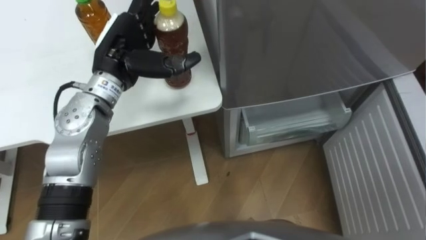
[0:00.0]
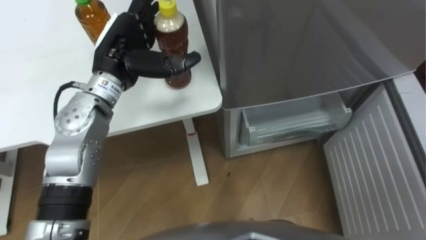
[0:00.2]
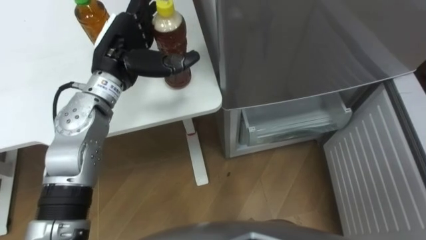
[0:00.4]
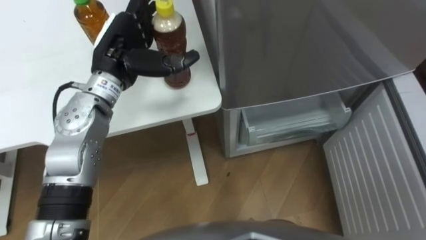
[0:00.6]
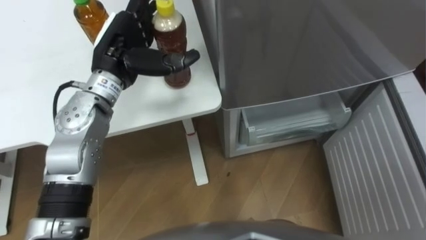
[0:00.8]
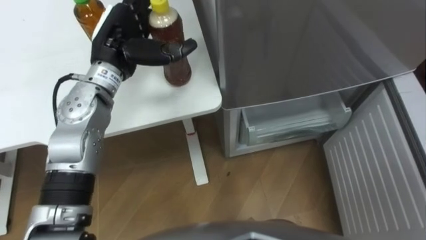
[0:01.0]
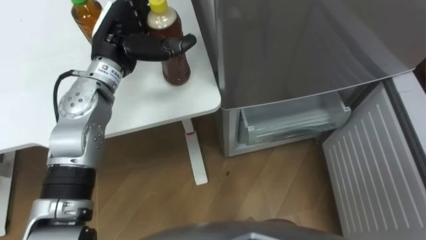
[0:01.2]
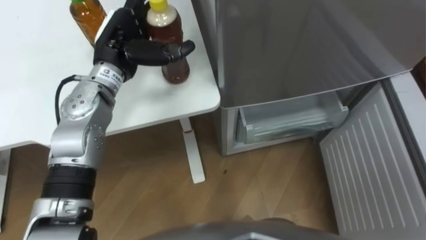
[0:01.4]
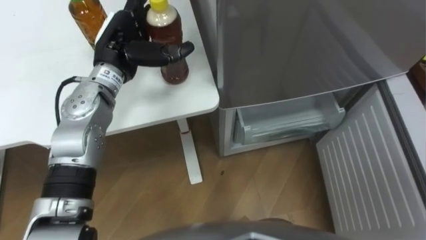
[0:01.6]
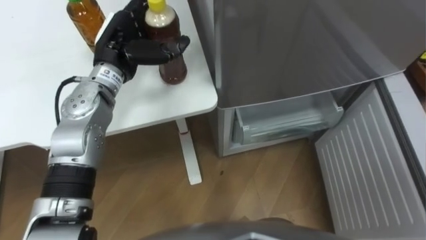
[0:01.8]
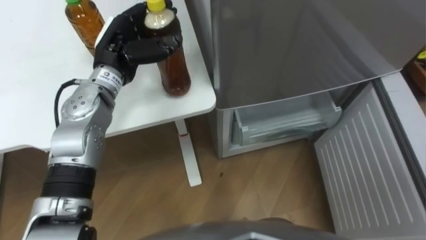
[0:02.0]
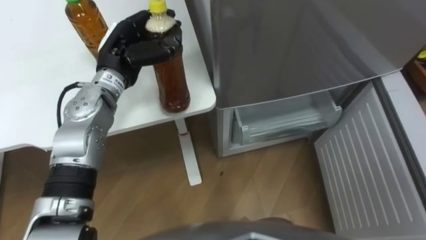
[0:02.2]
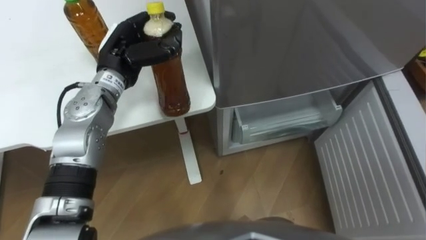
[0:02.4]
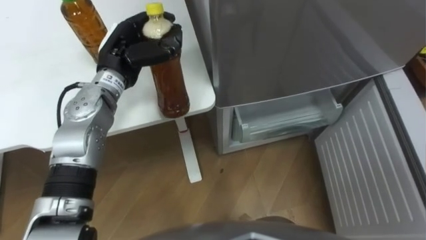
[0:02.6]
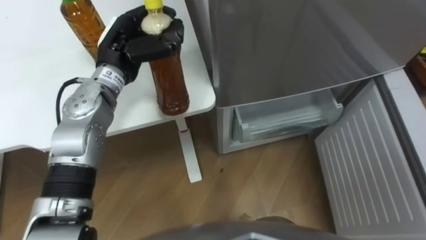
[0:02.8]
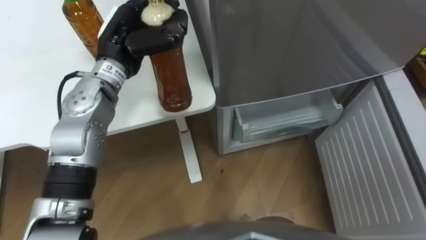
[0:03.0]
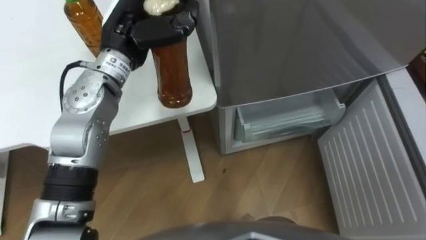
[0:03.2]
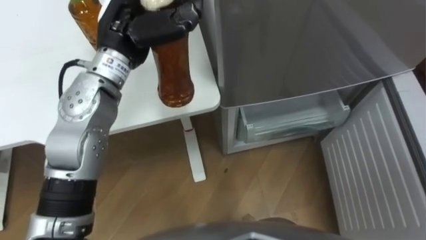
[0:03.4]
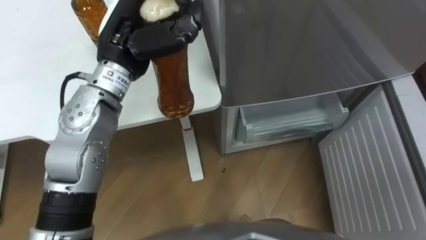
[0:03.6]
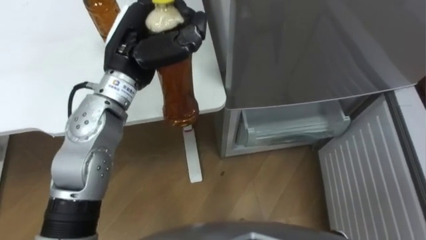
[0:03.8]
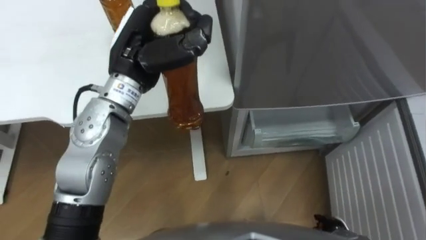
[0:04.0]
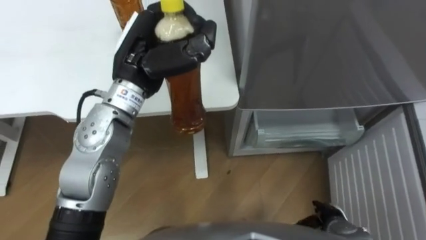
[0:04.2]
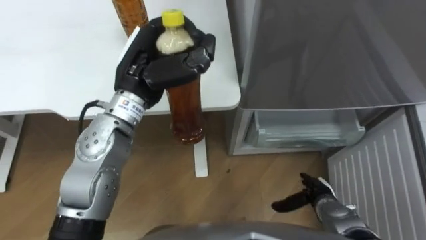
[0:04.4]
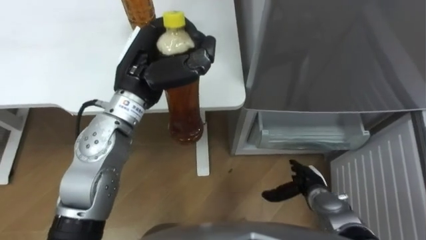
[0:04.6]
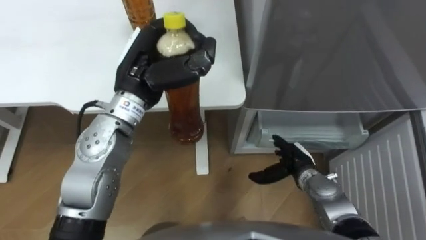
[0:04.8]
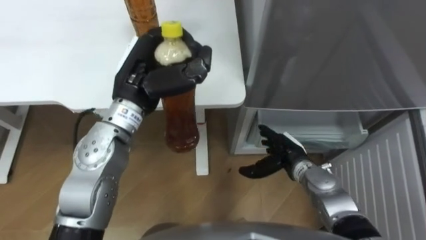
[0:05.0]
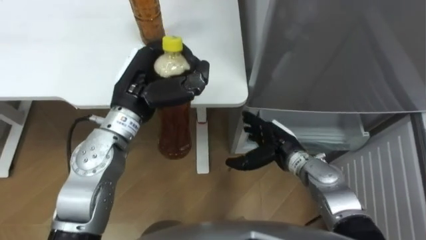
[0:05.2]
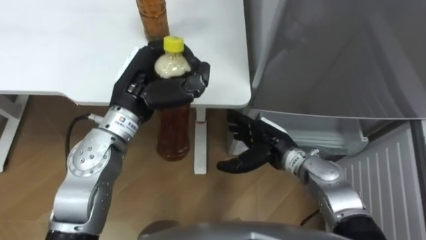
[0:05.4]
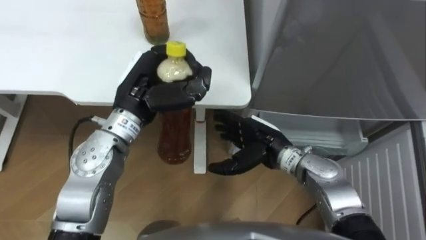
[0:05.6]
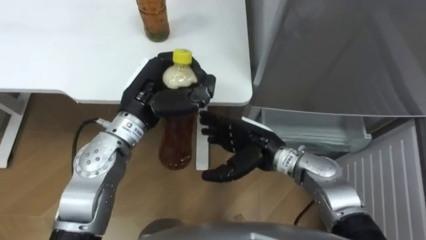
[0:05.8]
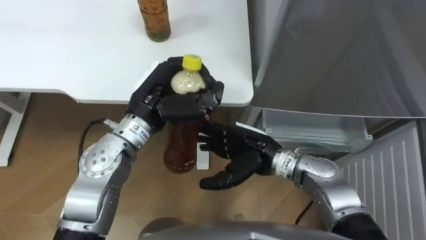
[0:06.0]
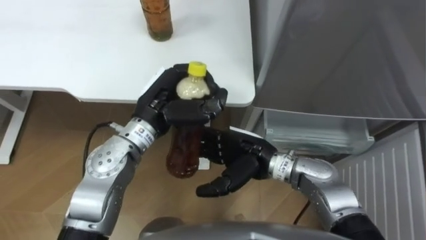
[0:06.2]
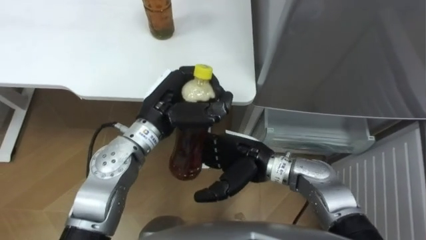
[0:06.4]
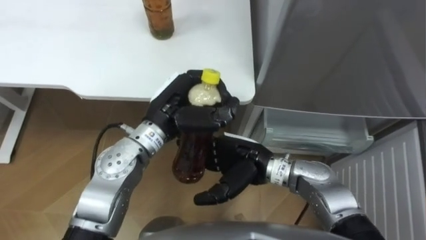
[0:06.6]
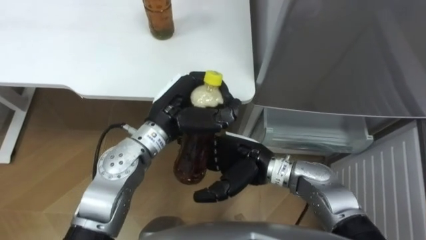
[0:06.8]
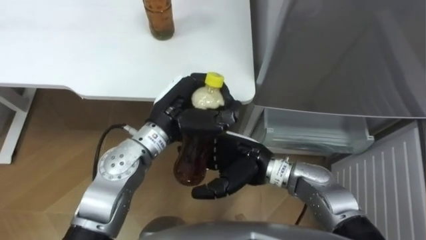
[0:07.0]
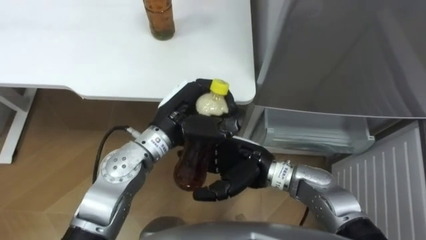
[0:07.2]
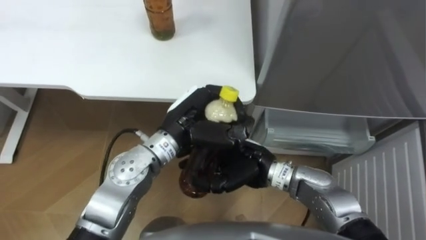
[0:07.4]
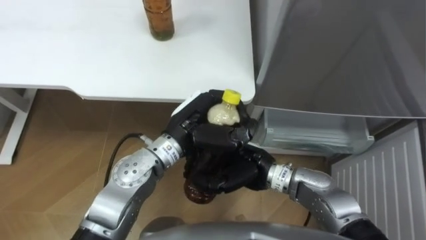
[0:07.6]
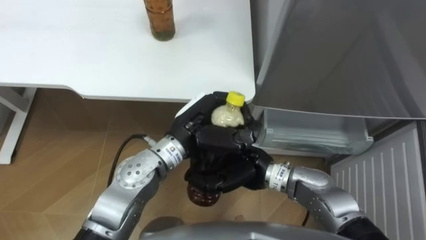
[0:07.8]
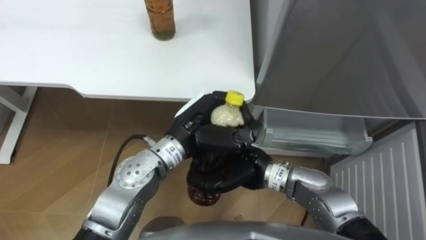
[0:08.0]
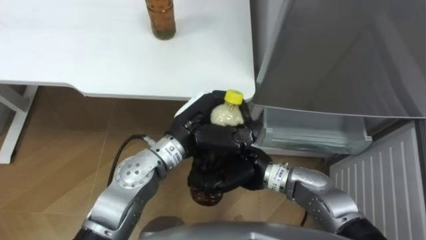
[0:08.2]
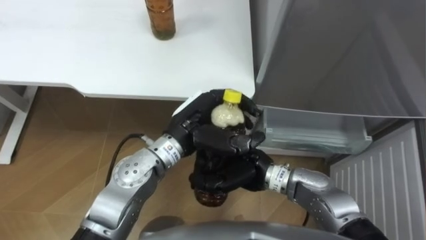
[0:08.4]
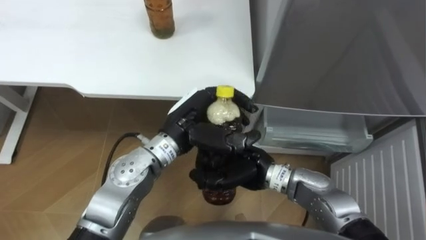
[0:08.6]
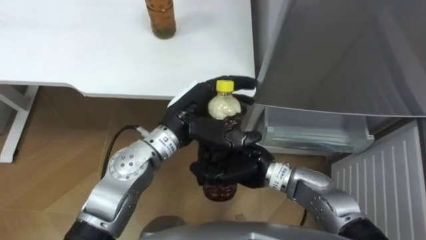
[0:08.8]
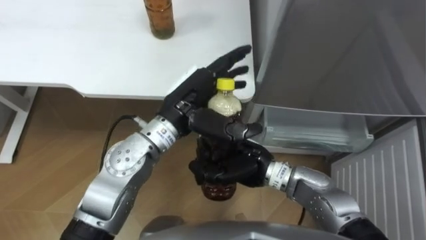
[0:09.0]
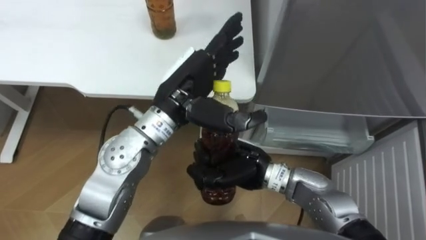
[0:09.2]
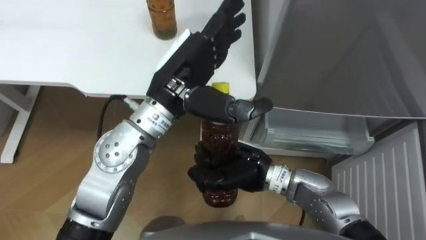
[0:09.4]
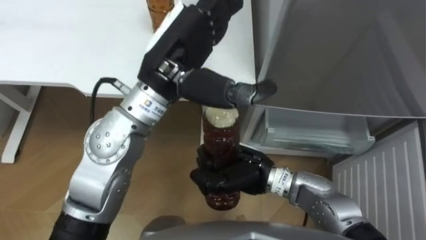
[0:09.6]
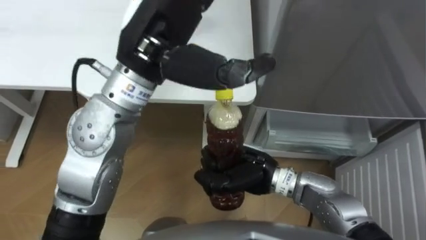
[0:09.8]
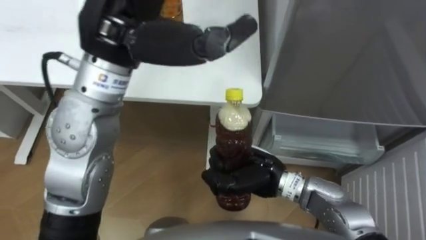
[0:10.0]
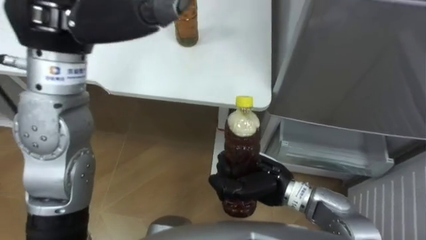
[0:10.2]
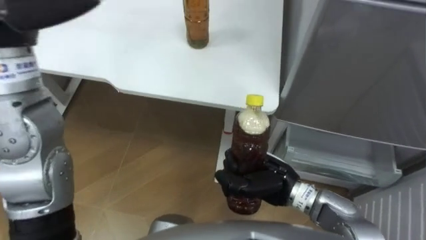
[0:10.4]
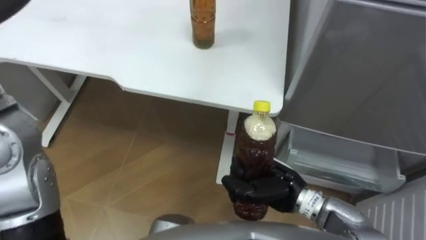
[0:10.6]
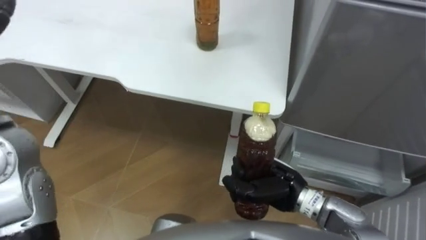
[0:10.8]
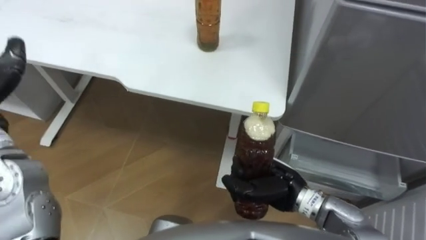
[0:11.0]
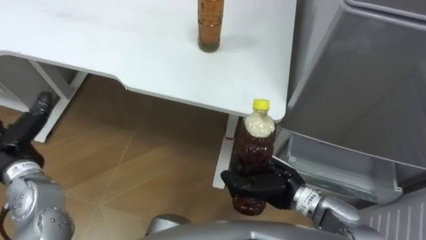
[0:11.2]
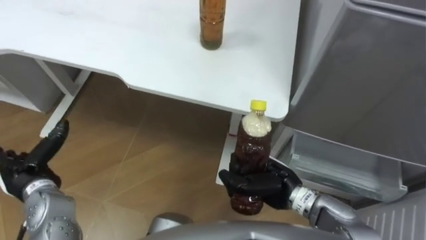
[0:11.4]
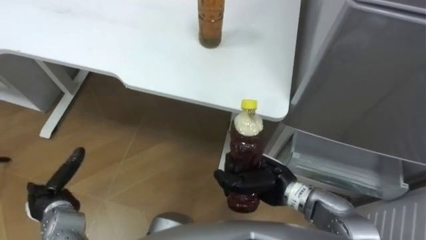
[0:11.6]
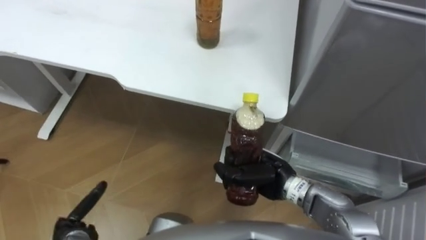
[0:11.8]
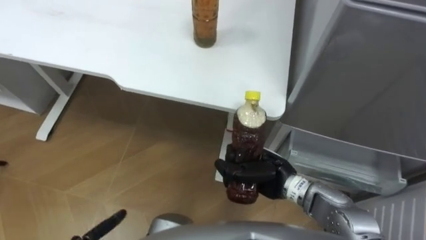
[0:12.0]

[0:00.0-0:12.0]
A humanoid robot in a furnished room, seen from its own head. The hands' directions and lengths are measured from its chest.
Task of the whole recording: Place the drink on the table on the bottom shelf of the refrigerator, then close the drawer and the refrigerator door.
0:01.6 to 0:03.0: The left hand closes.
0:03.0 to 0:04.4: The left hand shifts approximately 5 cm backward.
0:04.4 to 0:06.0: The left hand moves downward, about 5 cm. Meanwhile the right hand goes some 25 cm to the left, upward and forward.
0:06.0 to 0:07.6: The right hand closes up. The left hand is displaced to the right by about 5 cm.
0:07.6 to 0:09.0: The left hand opens.
0:09.0 to 0:10.4: The right hand moves to the right, some 5 cm.

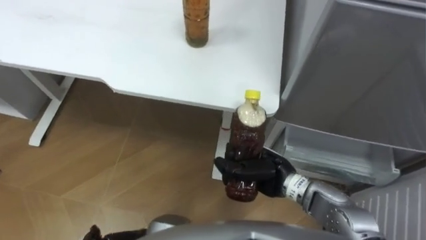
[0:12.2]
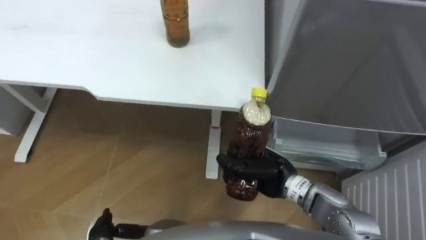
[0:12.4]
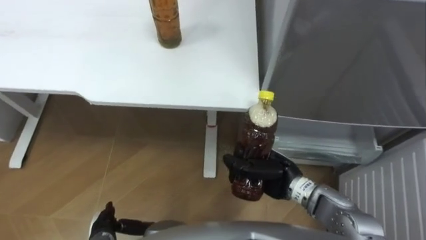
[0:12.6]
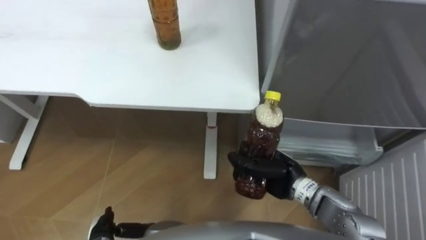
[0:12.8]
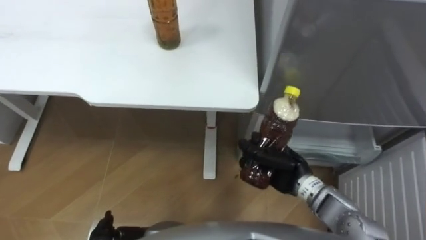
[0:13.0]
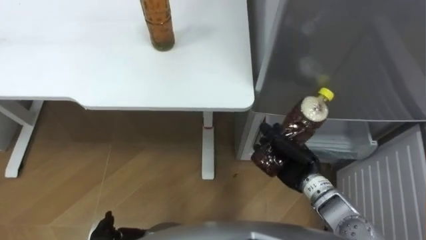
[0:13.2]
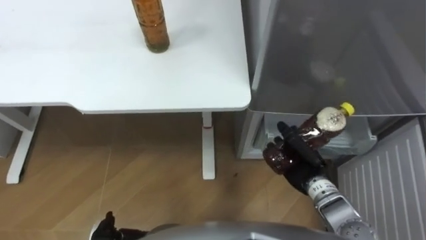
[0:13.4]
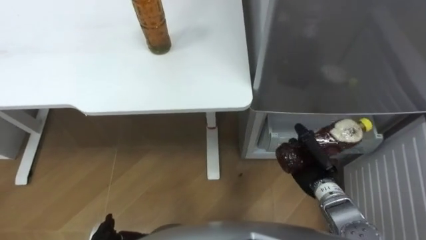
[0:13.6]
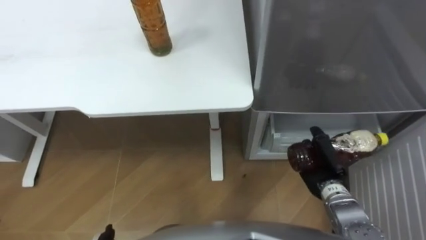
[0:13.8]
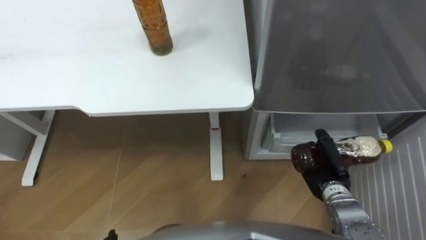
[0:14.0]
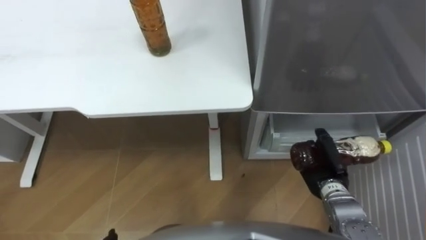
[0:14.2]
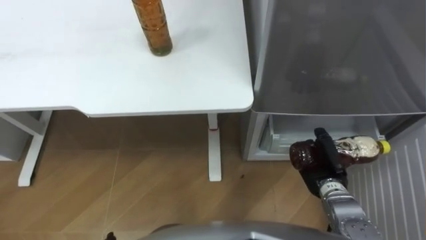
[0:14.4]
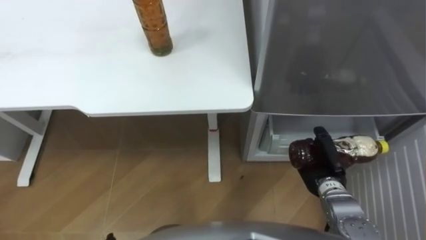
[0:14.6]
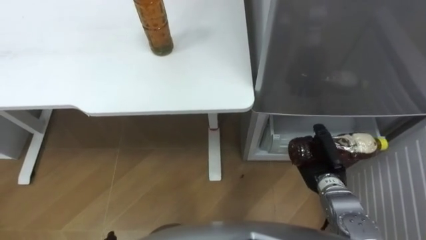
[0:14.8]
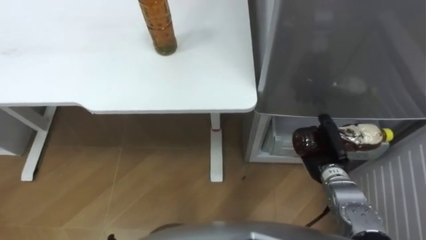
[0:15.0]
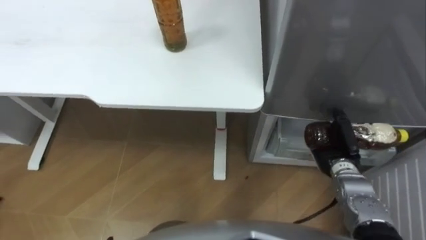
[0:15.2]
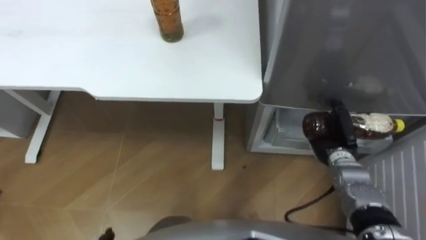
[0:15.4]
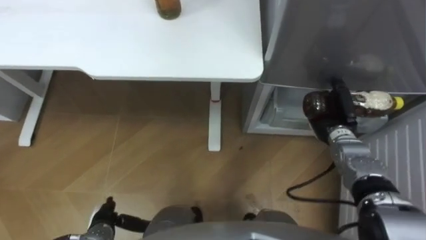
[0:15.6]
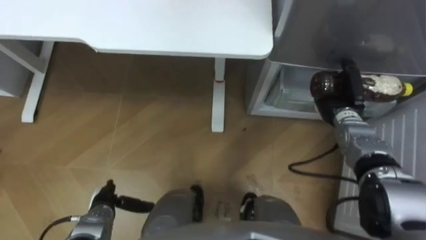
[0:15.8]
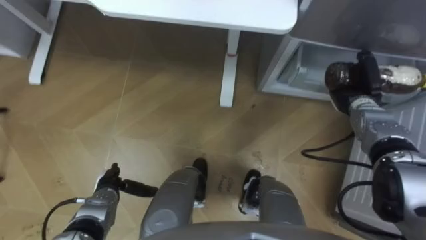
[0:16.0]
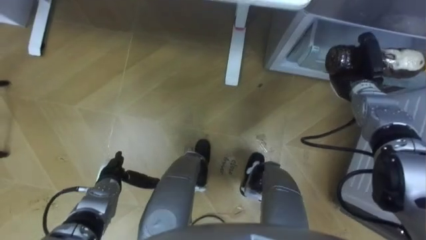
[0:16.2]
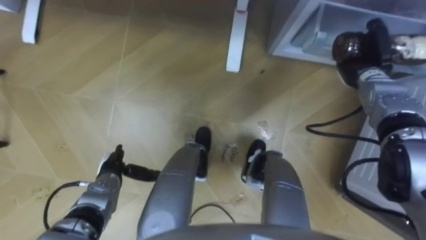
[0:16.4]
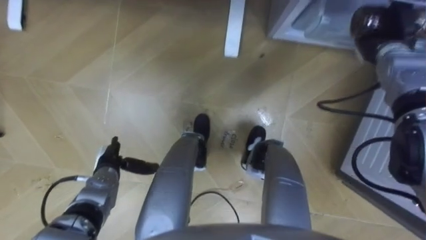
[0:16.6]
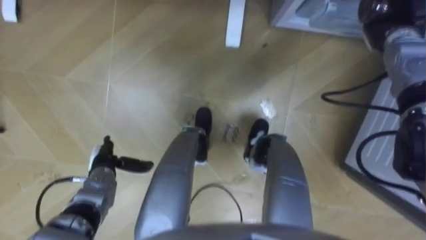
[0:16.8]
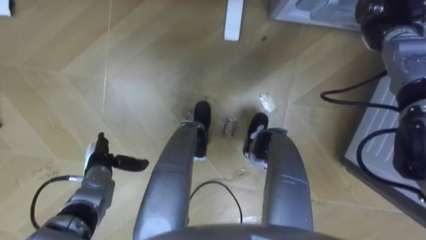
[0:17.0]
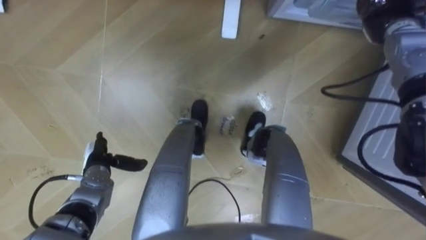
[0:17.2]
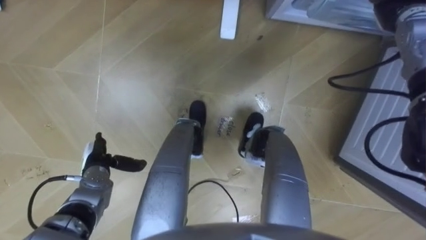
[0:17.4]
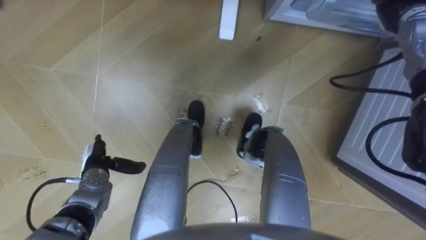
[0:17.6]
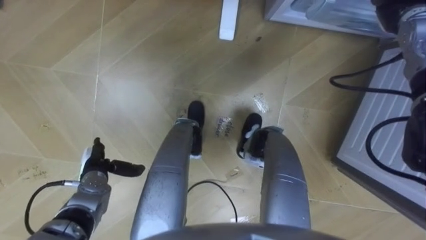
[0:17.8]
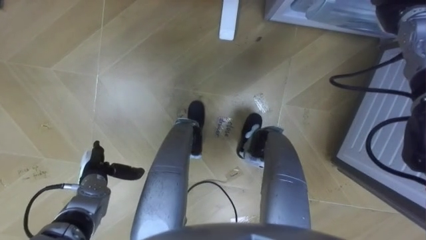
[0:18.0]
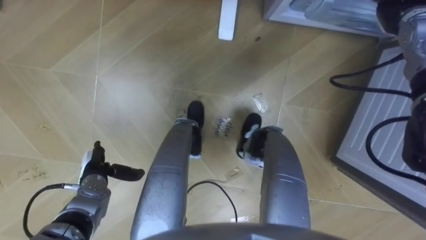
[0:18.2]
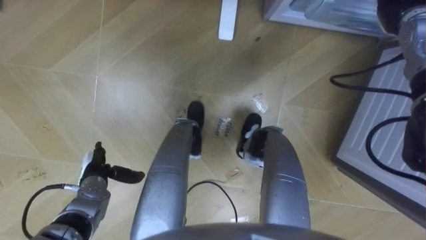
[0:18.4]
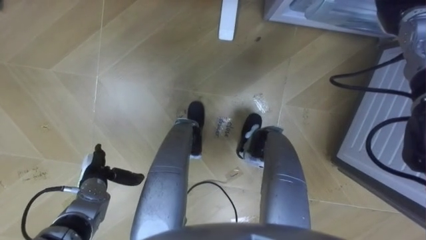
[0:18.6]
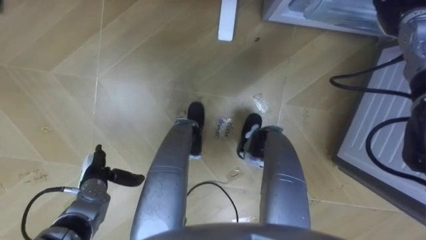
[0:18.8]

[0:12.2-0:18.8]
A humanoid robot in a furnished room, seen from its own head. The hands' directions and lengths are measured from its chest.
Task of the whole recording: Place the drink on the table on the bottom shelf of the refrigerator, then close the drawer and the refrigerator door.
0:12.2 to 0:13.8: The right hand shifts roughly 15 cm to the right.
0:13.8 to 0:15.4: The right hand shifts about 5 cm forward.
0:15.4 to 0:17.2: The right hand heads forward and upward, covering approximately 25 cm.
